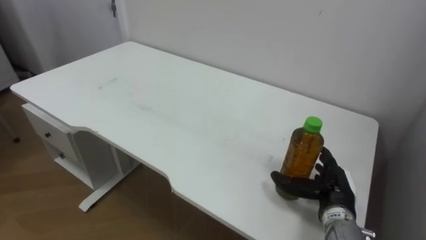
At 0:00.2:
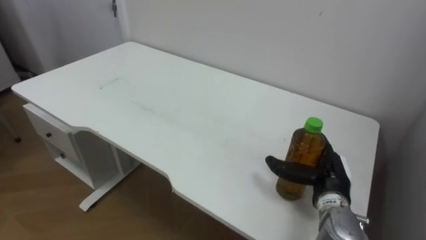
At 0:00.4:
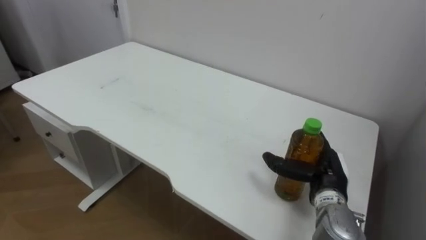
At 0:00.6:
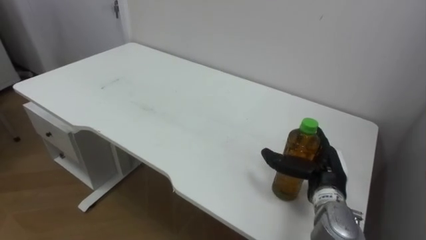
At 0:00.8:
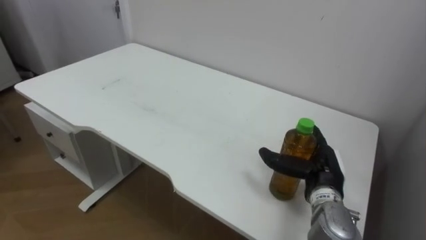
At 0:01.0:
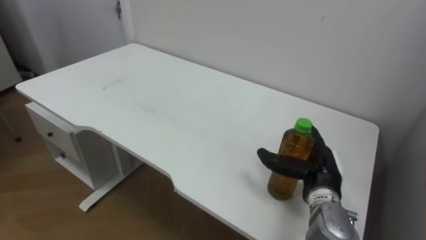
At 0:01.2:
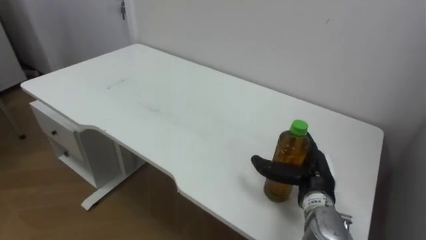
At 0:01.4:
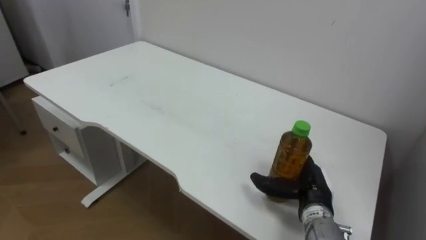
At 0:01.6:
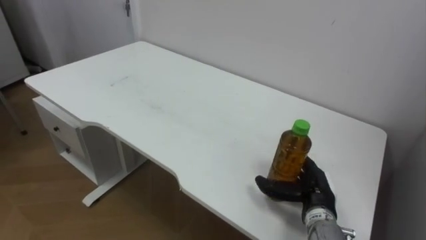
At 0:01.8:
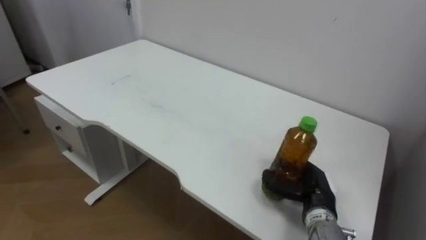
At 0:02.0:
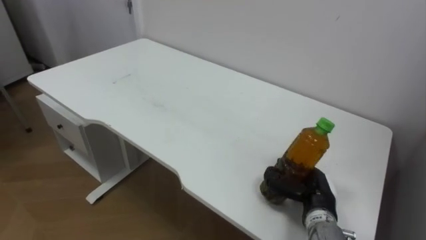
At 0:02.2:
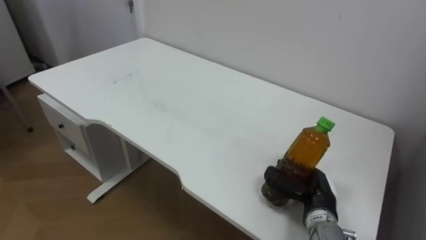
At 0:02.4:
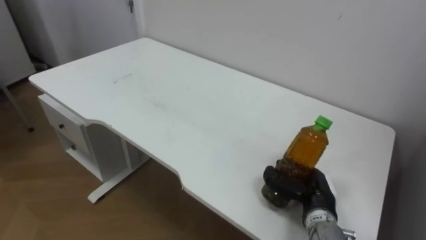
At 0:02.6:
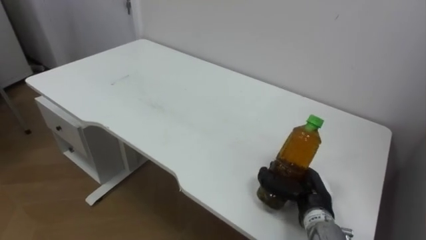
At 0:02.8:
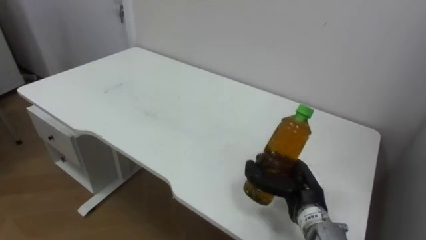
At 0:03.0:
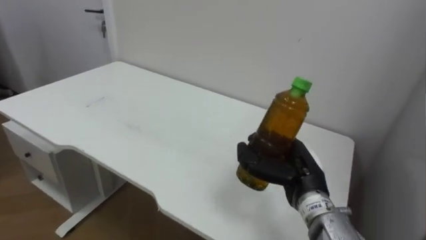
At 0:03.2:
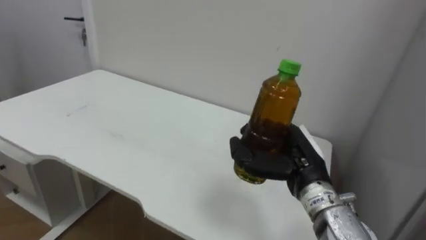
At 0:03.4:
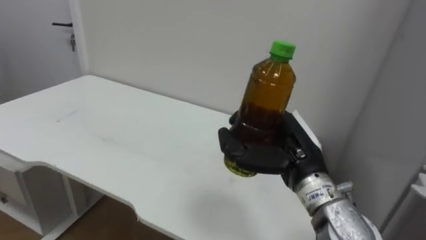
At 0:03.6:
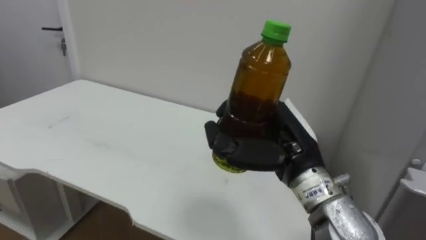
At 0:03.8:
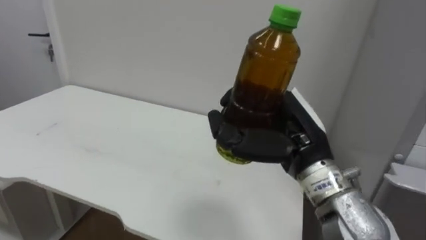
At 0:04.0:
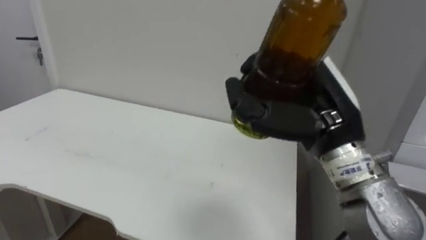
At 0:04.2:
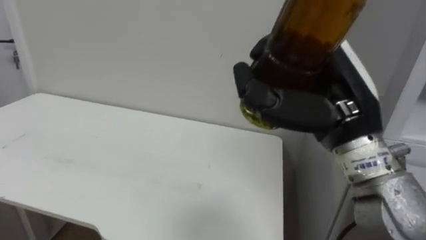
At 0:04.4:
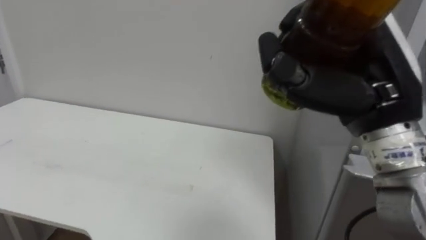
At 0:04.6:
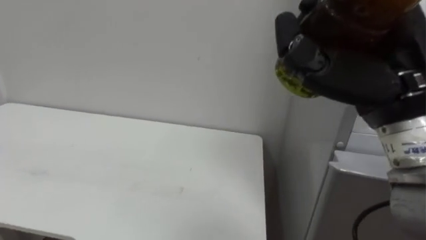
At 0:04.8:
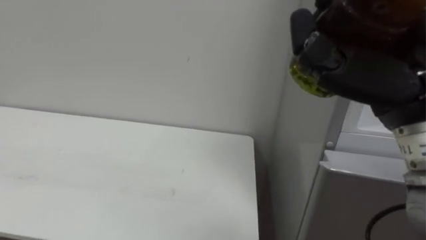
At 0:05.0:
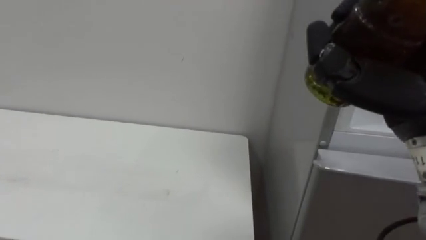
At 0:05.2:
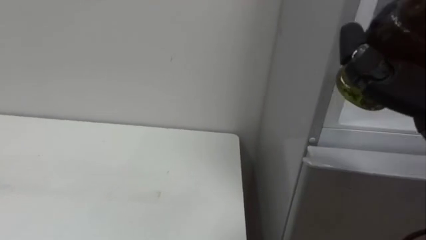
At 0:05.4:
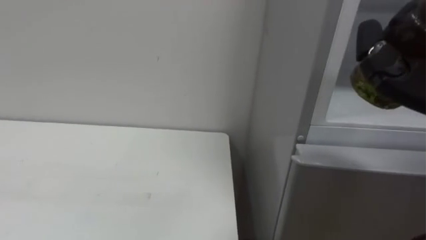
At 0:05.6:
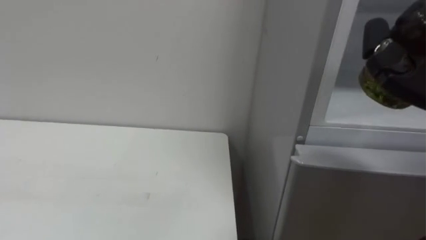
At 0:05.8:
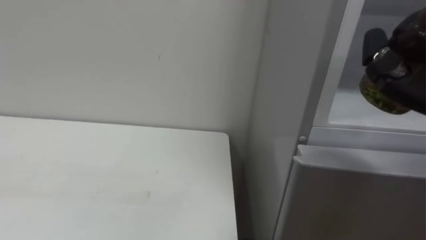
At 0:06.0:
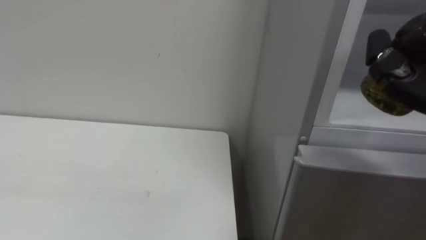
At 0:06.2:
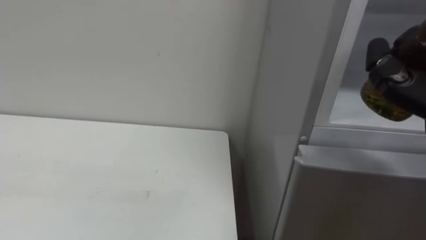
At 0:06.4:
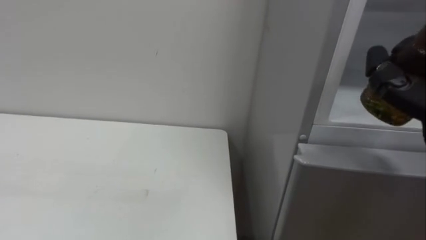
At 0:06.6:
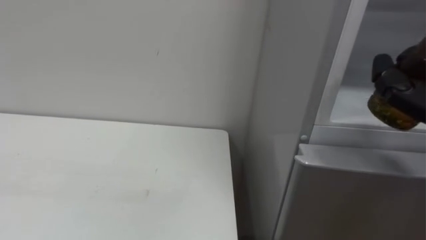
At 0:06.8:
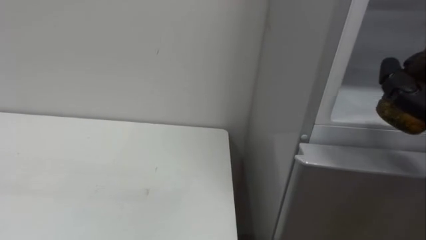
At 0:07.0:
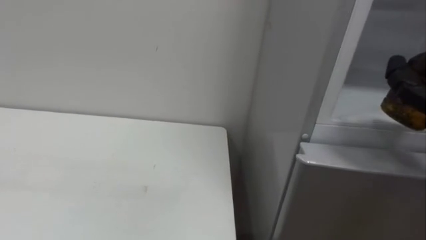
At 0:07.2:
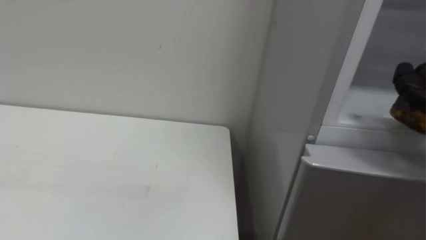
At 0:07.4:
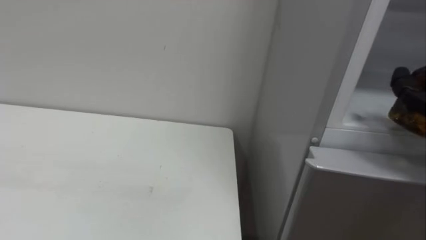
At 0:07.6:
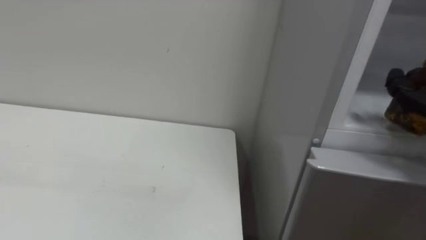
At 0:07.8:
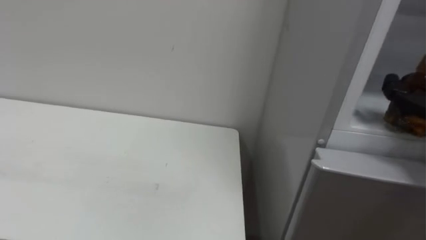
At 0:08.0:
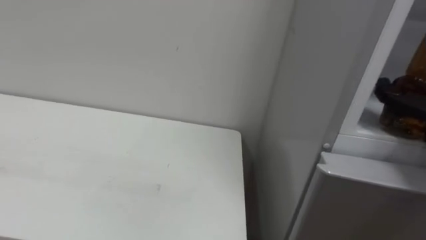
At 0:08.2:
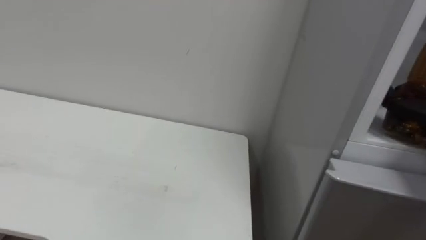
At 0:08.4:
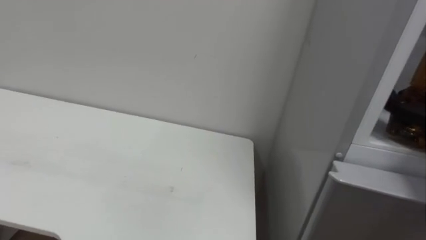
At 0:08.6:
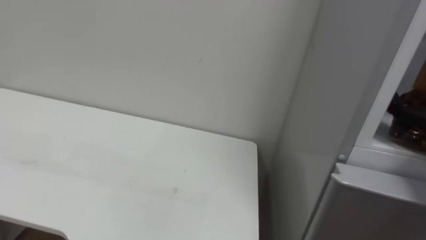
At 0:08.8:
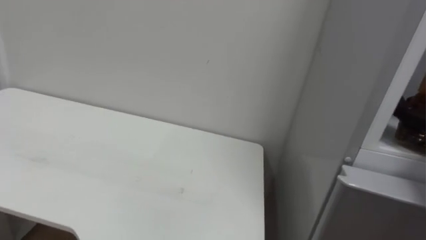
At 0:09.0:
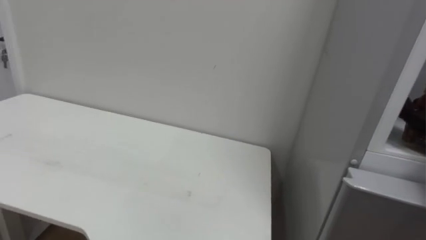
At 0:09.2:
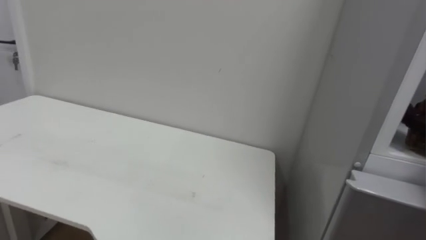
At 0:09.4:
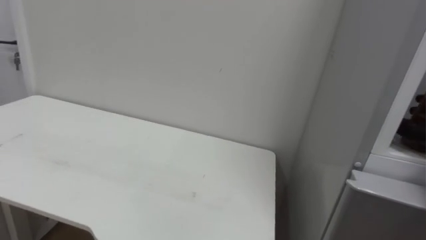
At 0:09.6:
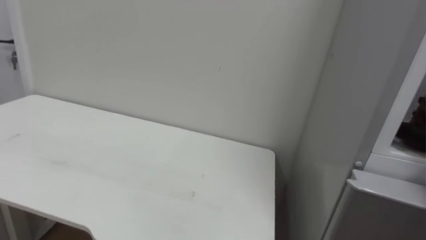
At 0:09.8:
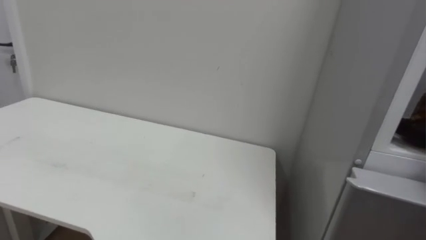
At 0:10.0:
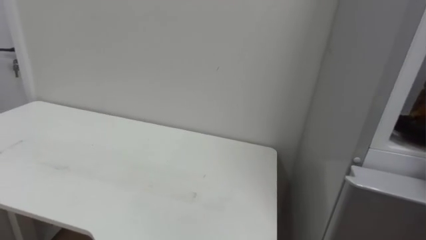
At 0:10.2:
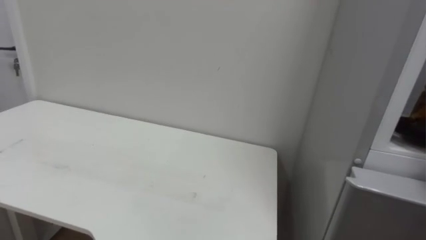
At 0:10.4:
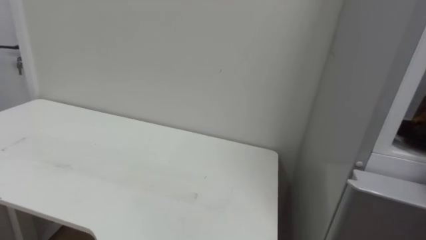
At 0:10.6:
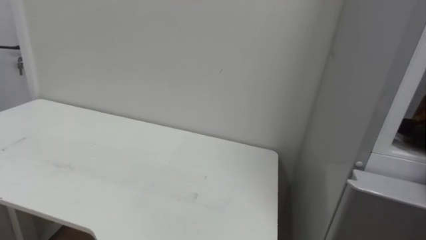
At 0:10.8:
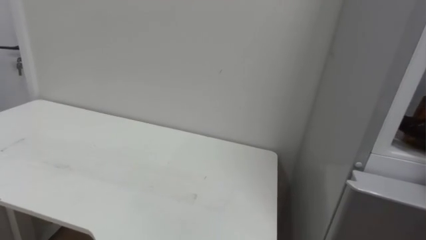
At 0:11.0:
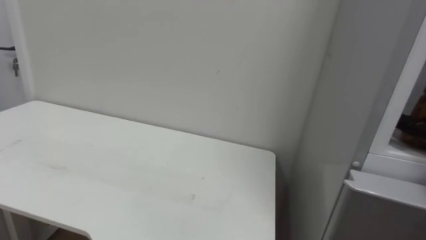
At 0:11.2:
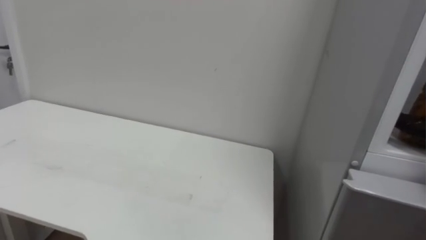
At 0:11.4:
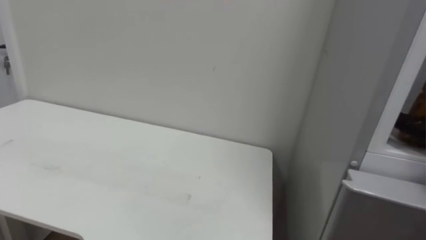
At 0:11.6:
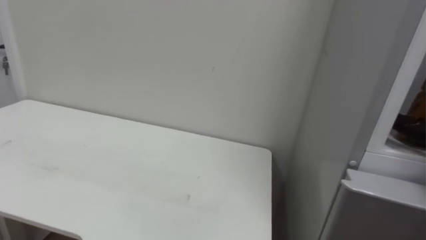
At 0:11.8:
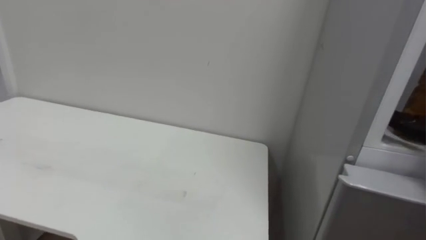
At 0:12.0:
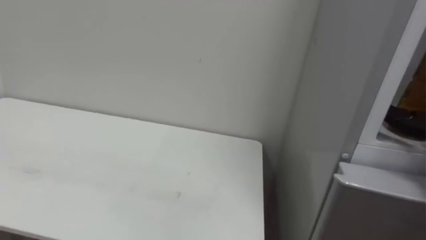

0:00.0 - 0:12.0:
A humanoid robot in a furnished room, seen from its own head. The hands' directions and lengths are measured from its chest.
Task of the whole recording: Open the upper refrigerator door, put the drink from the table into the refrigerator, and then close the refrigerator door.
0:01.6 - 0:03.0: The right hand moves upward, approximately 10 cm, and closes its fingers.
0:03.0 - 0:04.4: The right hand heads upward, covering roughly 20 cm.

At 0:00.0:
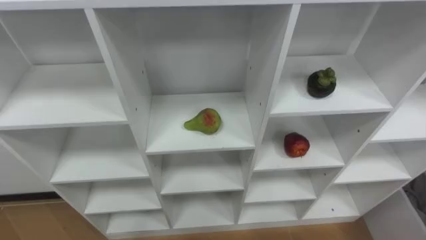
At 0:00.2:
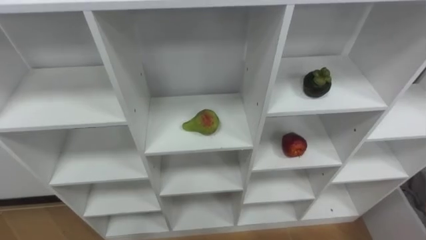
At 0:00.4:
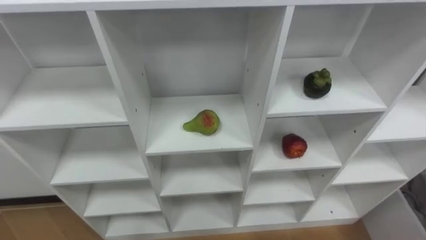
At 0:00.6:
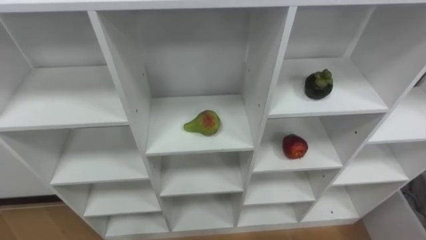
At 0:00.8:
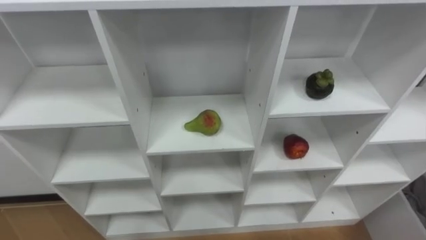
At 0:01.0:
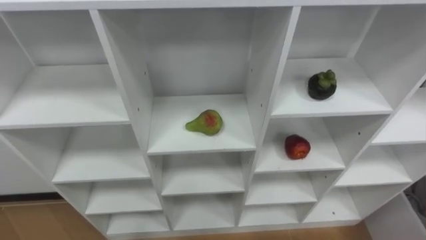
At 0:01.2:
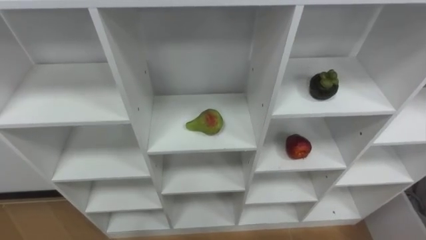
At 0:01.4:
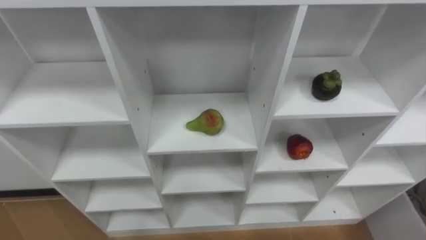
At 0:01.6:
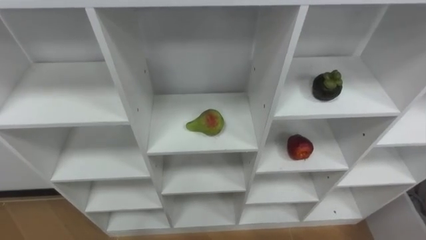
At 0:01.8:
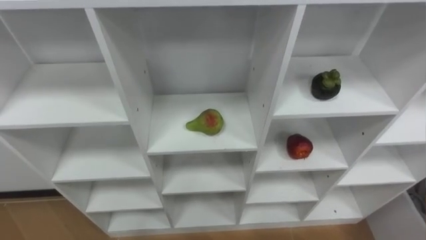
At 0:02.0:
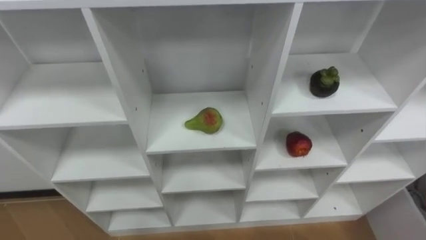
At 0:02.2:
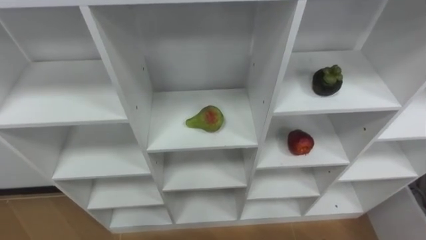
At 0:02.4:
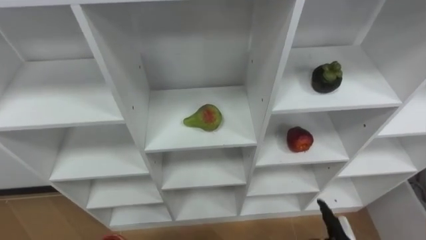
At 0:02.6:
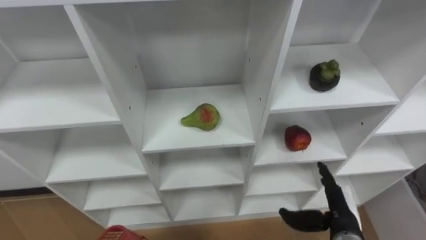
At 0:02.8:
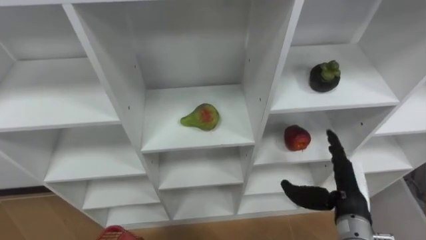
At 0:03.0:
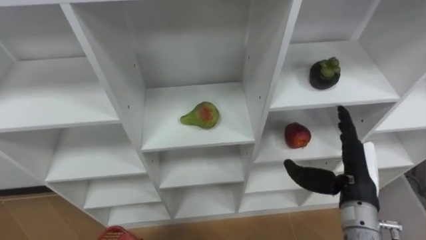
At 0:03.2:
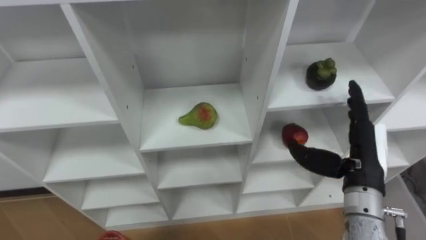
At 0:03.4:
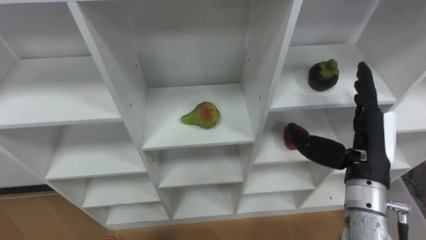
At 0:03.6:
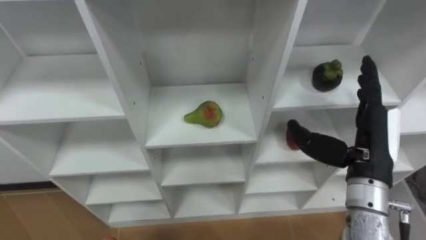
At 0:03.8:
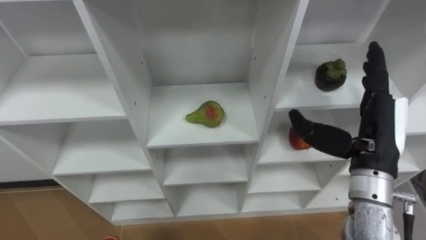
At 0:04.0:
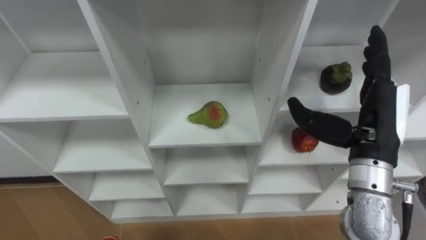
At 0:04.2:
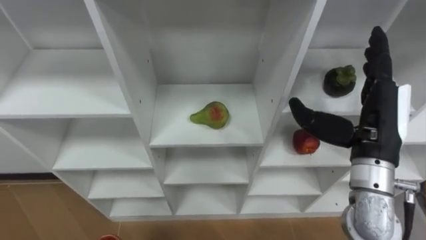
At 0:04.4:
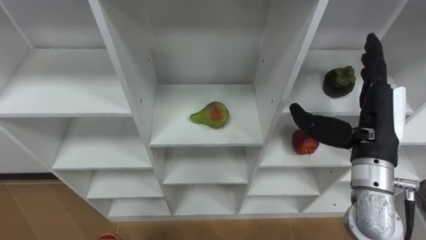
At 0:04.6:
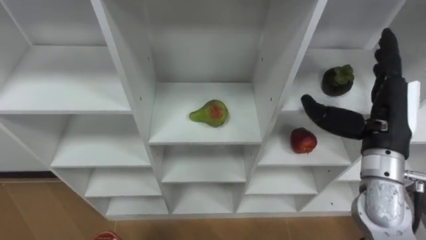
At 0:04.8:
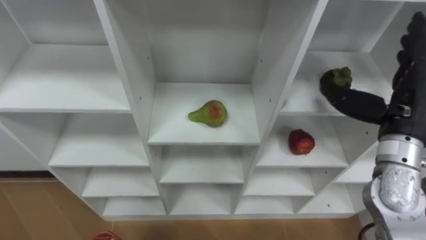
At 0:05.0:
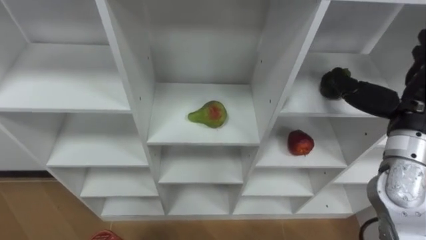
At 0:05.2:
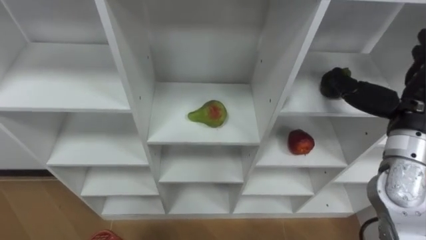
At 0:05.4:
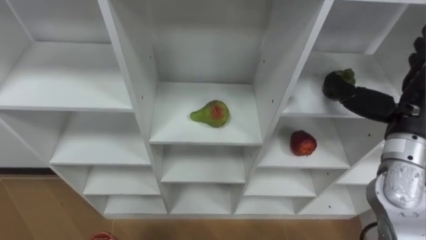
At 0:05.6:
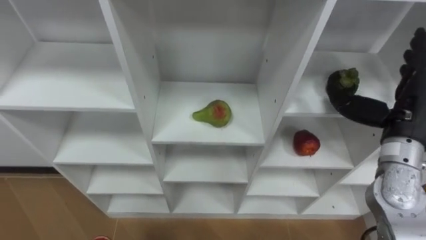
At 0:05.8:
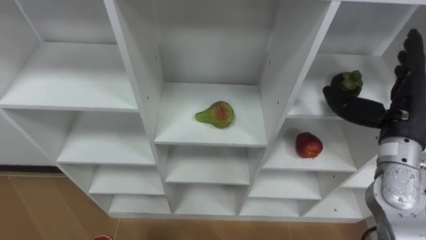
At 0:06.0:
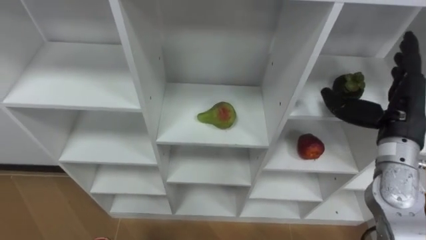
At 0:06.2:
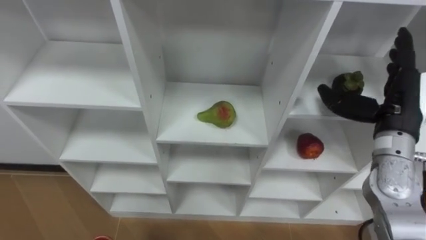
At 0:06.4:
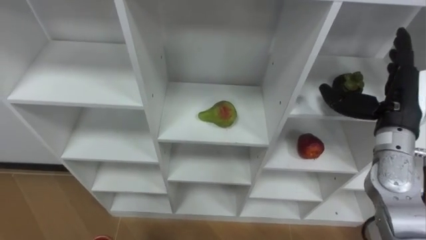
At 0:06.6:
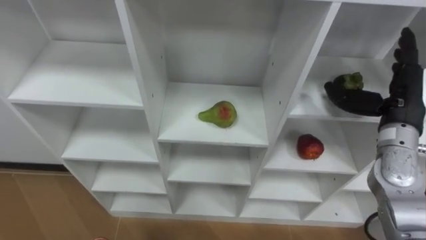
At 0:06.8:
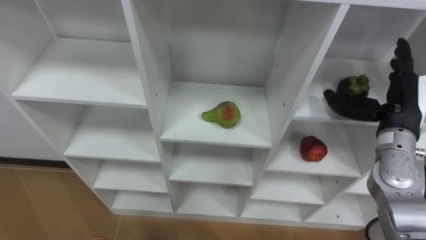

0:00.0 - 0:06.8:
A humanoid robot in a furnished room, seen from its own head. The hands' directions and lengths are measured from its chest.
Task of the whole recording: Hold the basket and collect the fruits from 3 different cells of the closet into it.
0:02.8 - 0:04.0: The right hand is displaced upward by about 15 cm.
0:04.0 - 0:05.4: The right hand travels to the right by approximately 5 cm.
0:05.4 - 0:06.8: The right hand shifts by some 5 cm.
